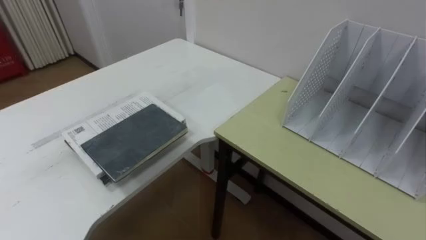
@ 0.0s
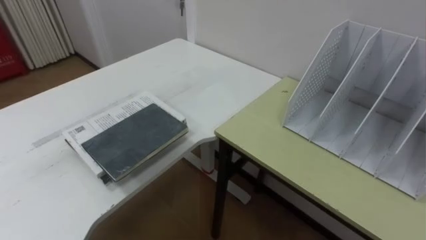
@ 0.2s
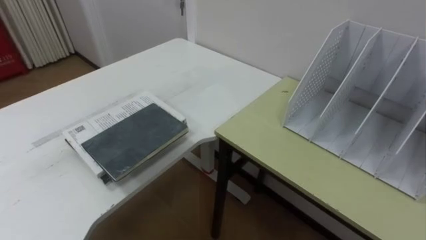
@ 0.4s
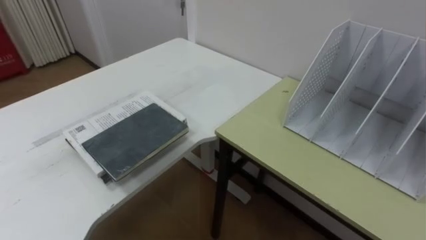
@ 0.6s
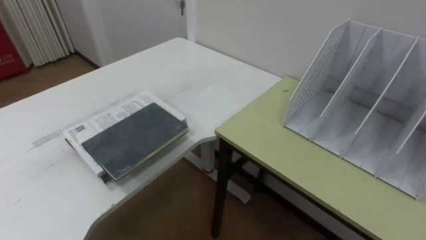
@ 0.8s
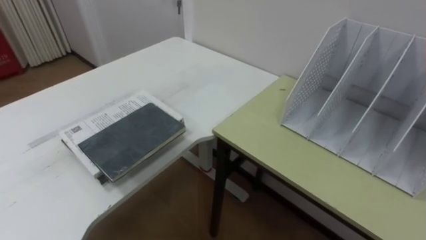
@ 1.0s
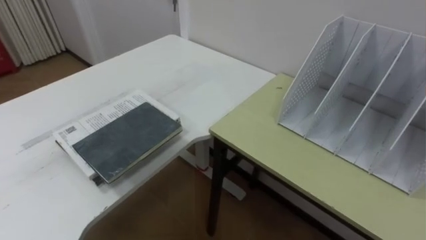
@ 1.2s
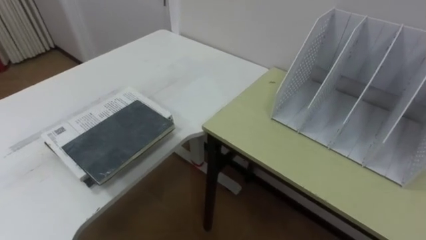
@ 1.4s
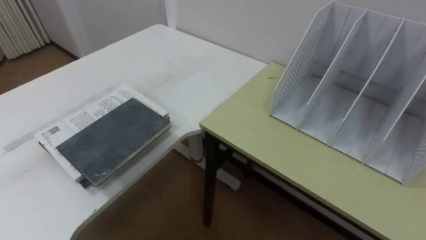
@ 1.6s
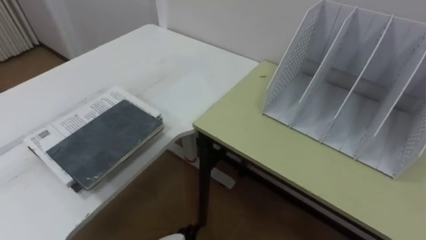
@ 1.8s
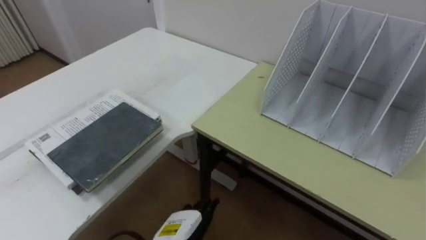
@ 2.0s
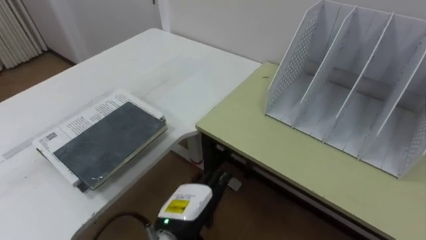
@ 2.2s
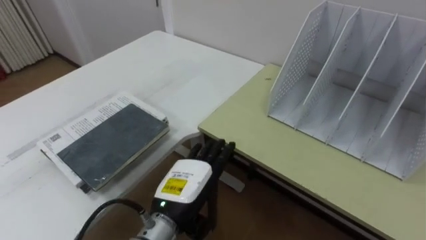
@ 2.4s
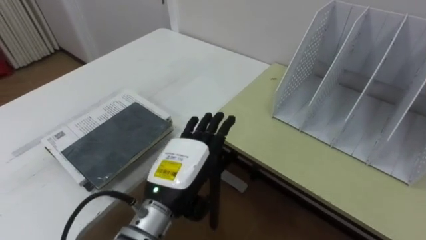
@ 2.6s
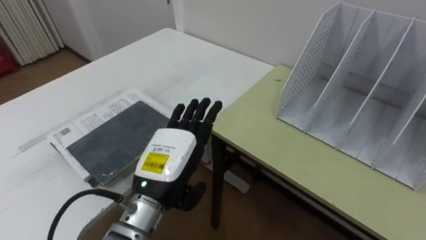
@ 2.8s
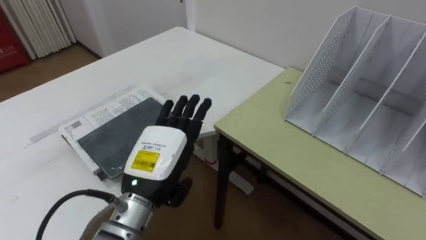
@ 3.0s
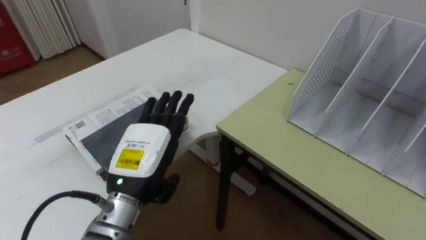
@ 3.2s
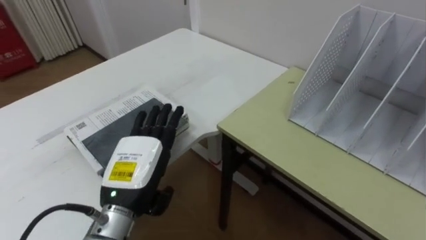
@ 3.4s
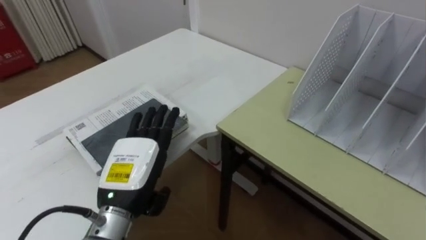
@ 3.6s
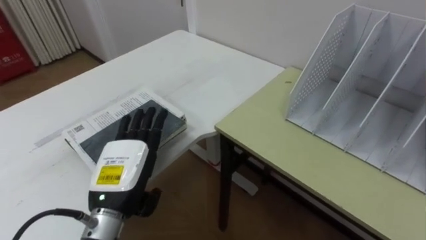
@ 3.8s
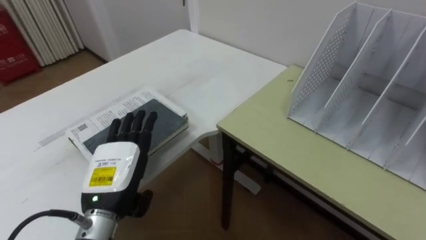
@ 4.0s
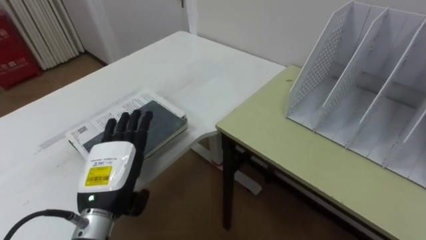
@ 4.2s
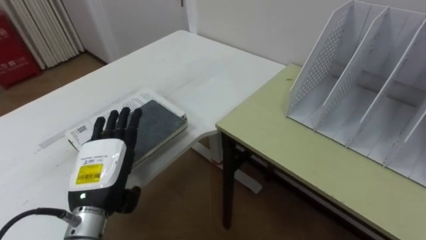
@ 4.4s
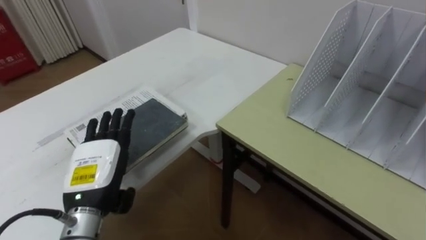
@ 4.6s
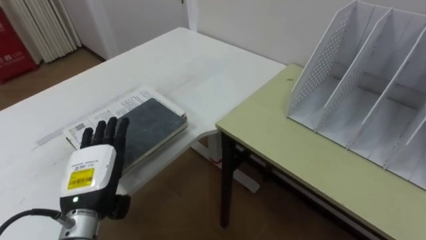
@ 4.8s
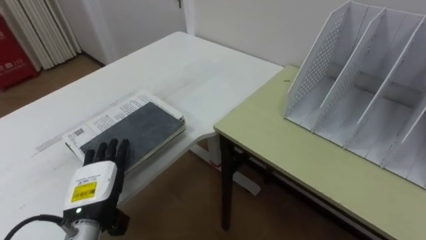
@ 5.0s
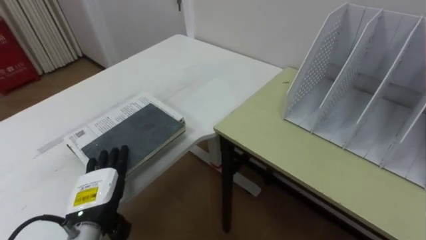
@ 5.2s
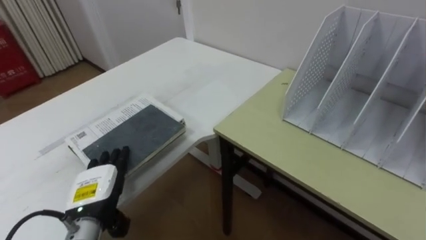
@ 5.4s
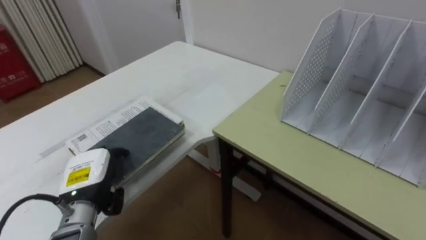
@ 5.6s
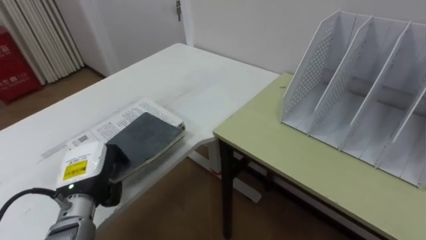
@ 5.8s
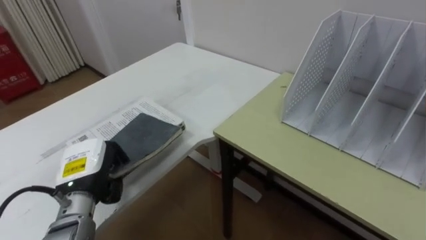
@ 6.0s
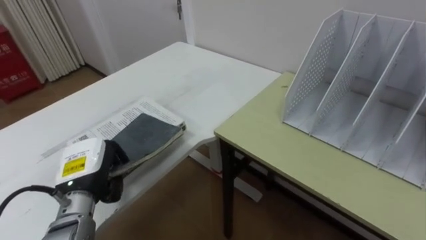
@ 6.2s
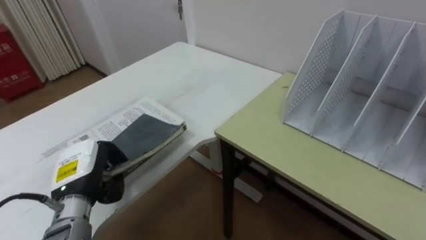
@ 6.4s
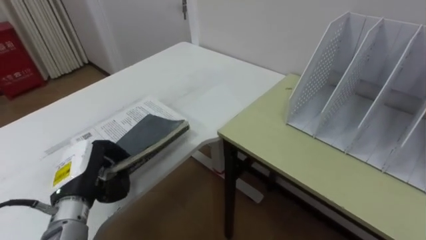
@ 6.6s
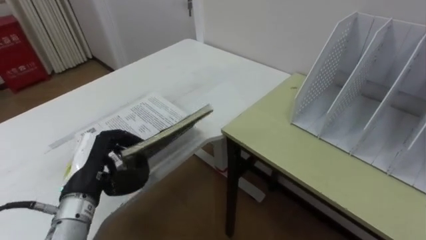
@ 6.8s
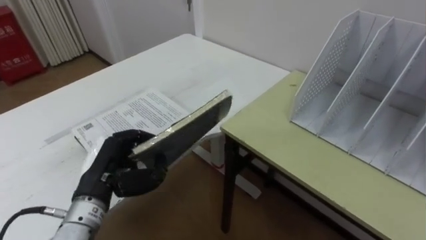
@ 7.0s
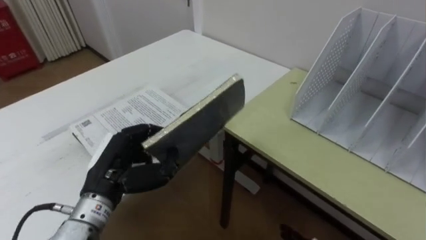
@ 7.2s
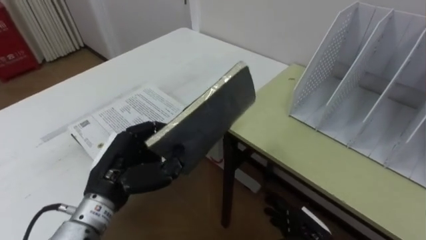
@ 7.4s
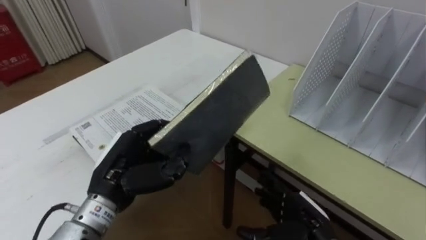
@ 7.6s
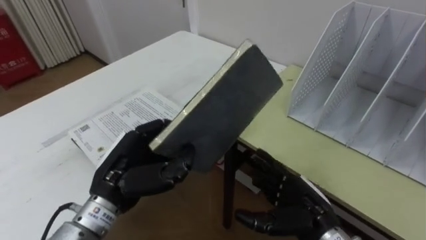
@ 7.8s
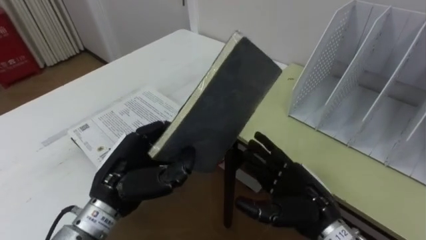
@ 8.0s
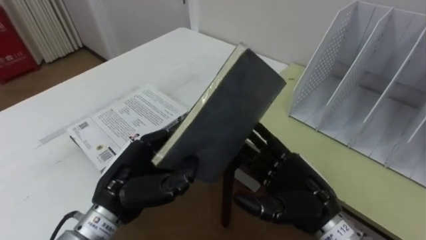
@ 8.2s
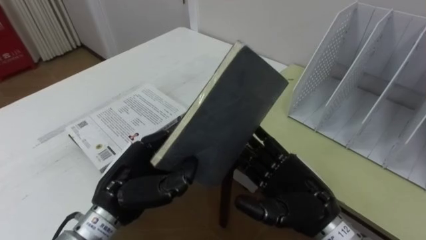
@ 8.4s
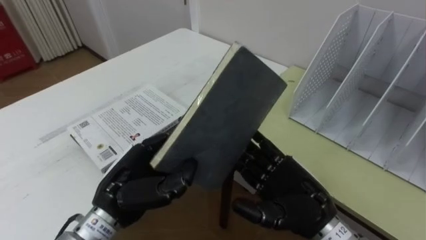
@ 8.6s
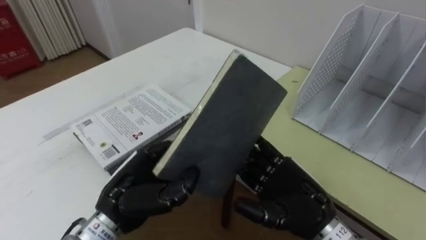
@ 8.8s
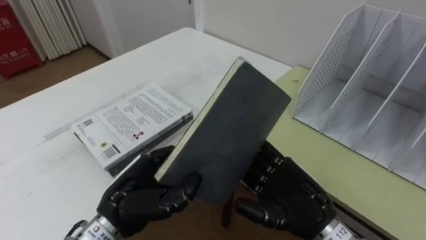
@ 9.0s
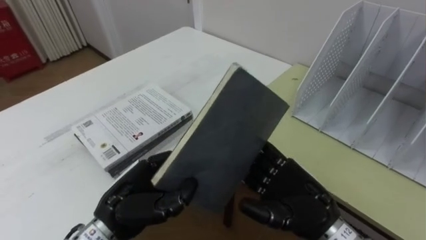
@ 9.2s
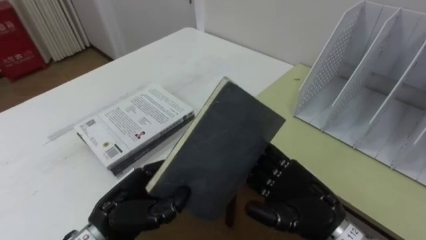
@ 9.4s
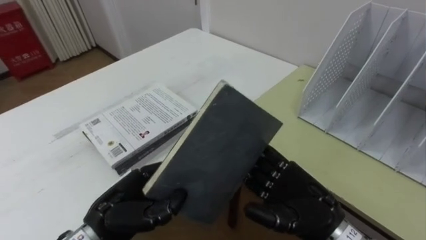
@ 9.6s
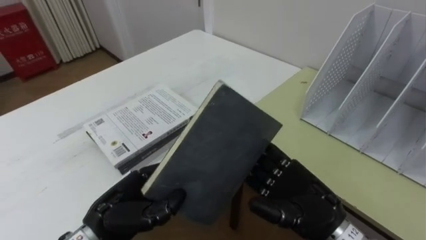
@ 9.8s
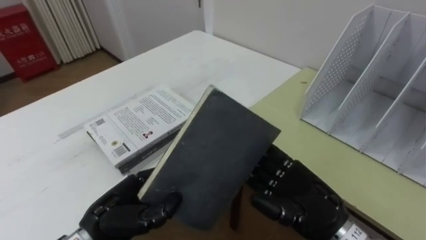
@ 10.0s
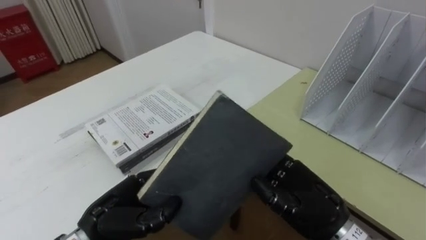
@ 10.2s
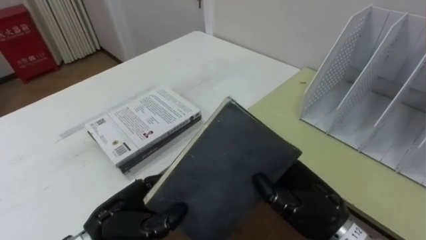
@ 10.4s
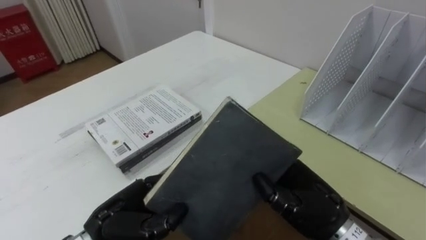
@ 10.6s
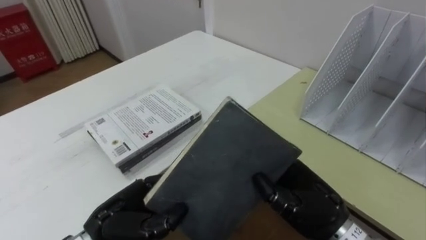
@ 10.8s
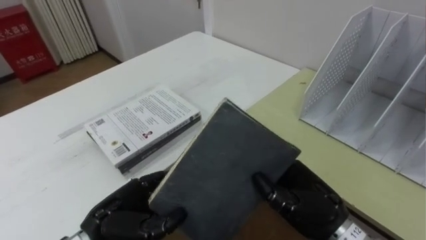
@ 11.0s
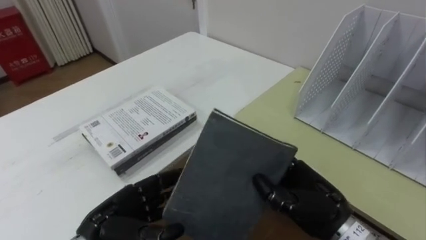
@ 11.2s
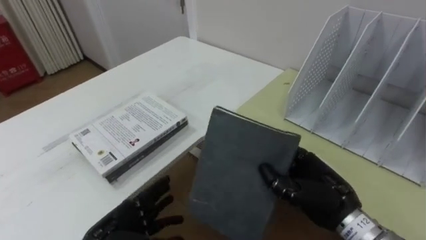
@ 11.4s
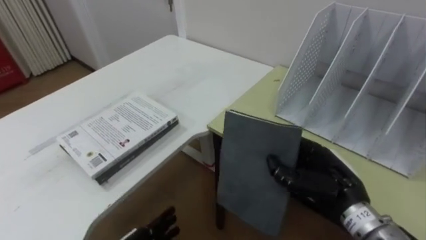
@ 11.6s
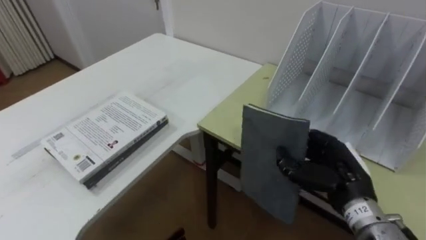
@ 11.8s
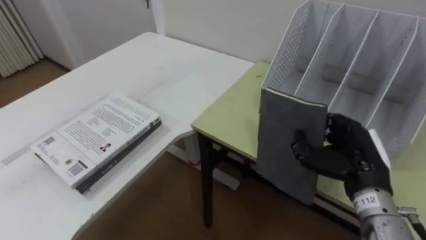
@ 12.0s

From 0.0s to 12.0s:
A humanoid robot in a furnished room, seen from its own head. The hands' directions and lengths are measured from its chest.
Task of the whole recording: Put the books on the table onto the bookshelf.
From 3.0s to 4.4s: The left hand heads to the left, covering some 10 cm.
From 4.4s to 6.0s: The left hand changes place by roughly 5 cm, and closes up.
From 6.0s to 7.6s: The left hand moves to the right, approximately 10 cm.
From 7.6s to 9.0s: The right hand shifts about 10 cm upward.
From 9.0s to 10.4s: The right hand closes its fingers.
From 10.4s to 12.0s: The right hand is displaced to the right by about 10 cm.

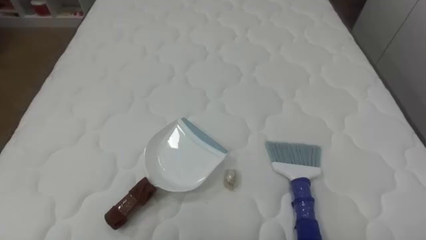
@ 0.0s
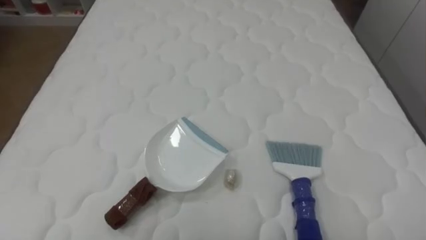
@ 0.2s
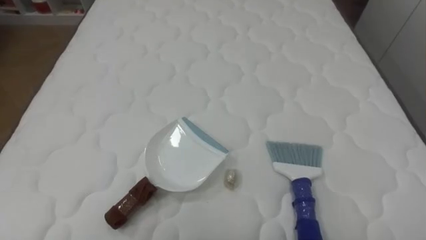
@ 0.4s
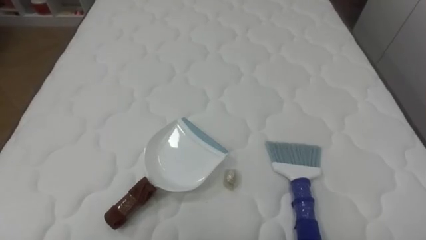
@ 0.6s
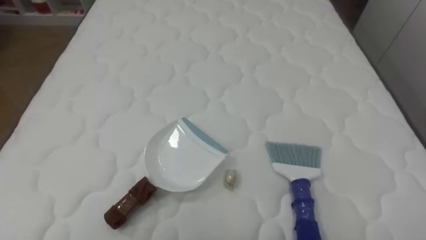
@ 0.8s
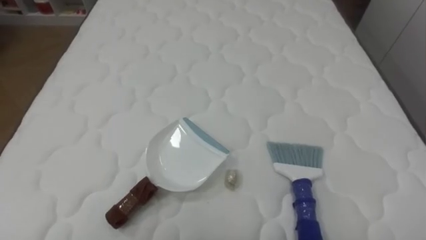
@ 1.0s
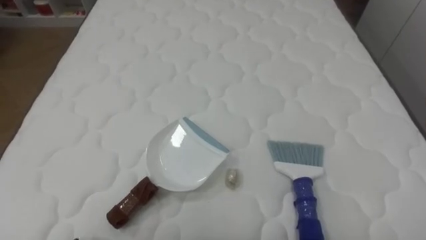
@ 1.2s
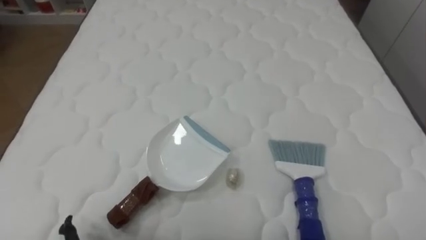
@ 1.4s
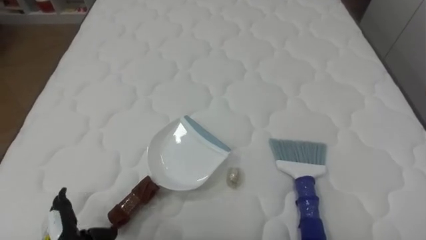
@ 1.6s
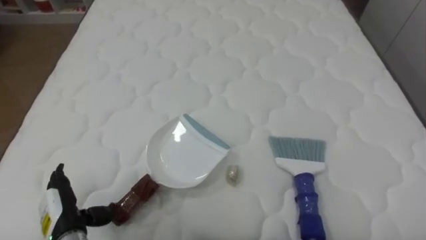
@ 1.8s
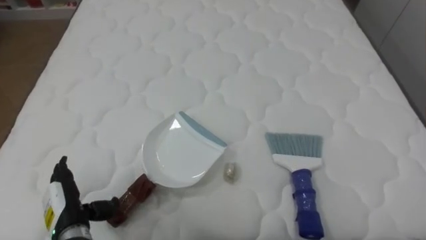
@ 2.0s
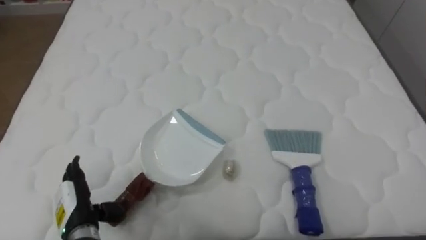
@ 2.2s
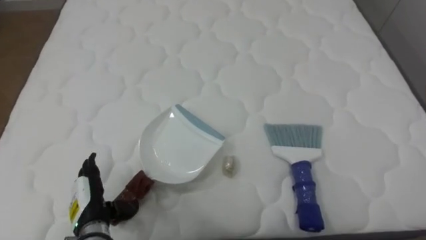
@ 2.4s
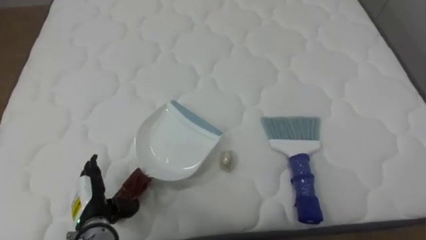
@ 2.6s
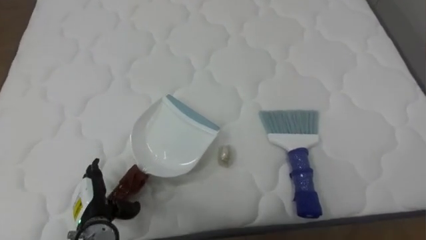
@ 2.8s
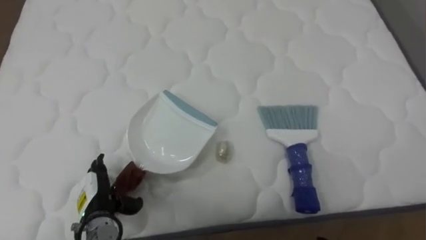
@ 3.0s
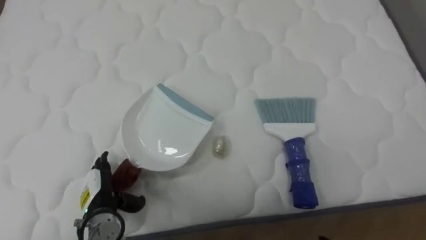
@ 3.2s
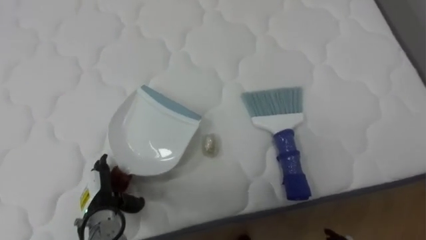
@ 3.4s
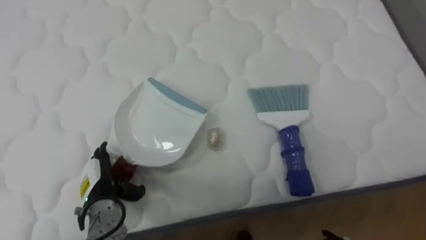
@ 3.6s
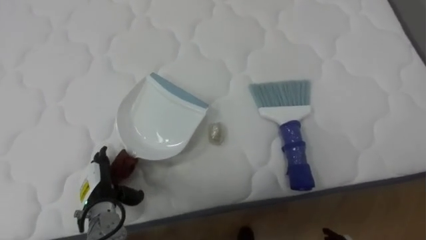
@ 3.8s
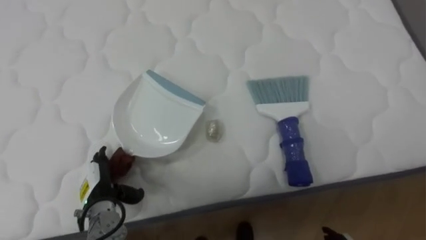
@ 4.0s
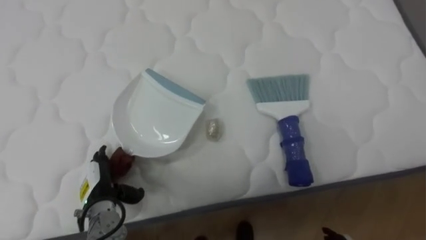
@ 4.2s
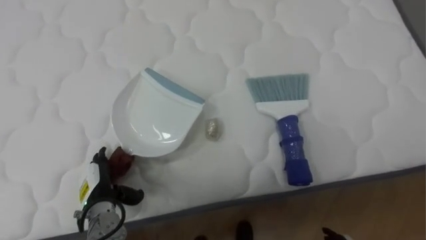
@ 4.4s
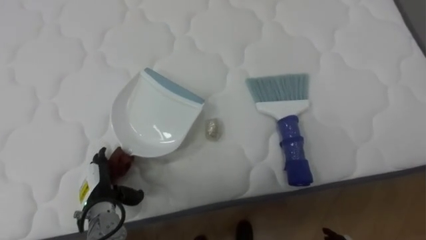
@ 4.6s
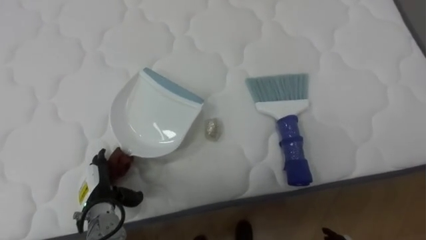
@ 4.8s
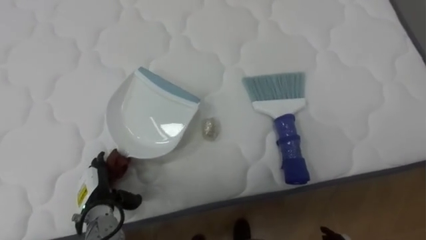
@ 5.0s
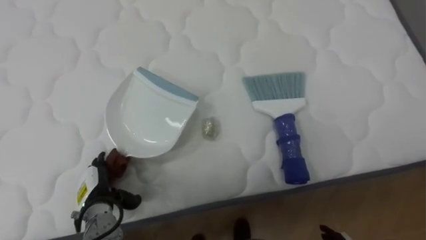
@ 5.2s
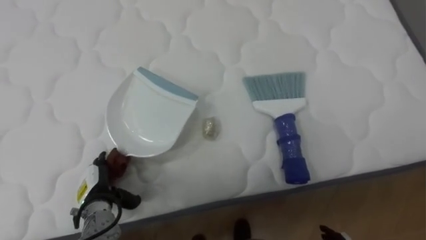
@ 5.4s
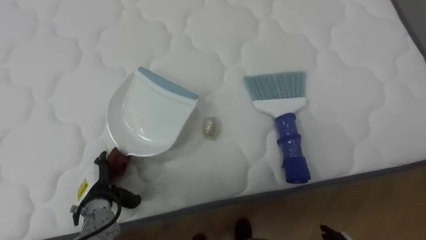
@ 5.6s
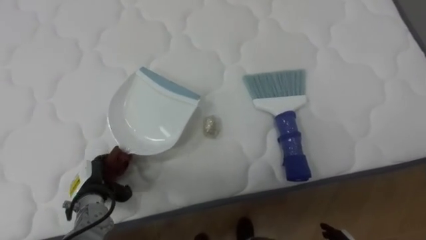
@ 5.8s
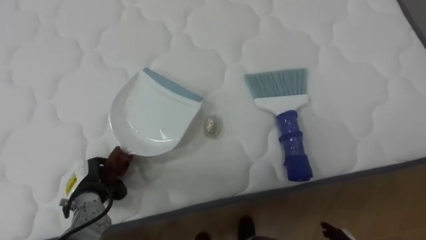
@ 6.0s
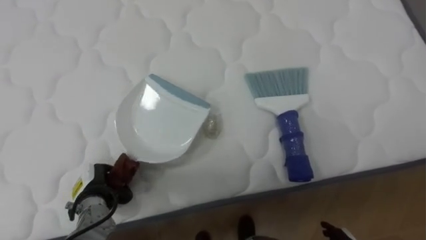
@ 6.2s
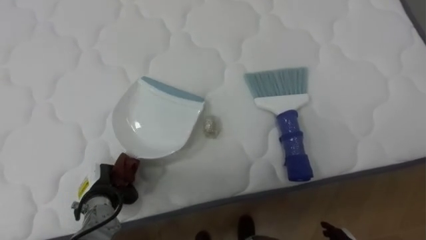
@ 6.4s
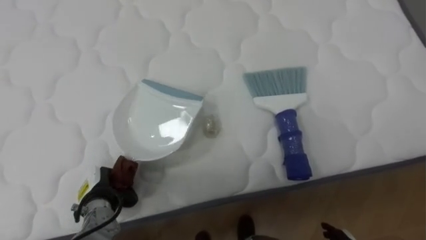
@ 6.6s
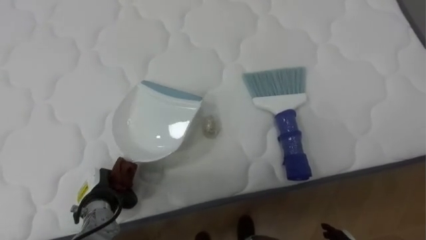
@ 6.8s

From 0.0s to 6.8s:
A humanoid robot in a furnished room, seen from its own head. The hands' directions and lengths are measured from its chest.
Task of the whole recording: Pick up the brush on your right and the dustpan on your left. Use the brush to sweep the crumpled paper on the bed into the dustpan, then turn left and empty it into the basket.
From 5.4s to 6.8s: The left hand closes up.
